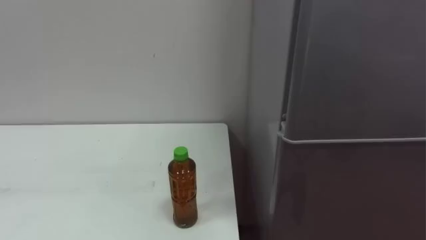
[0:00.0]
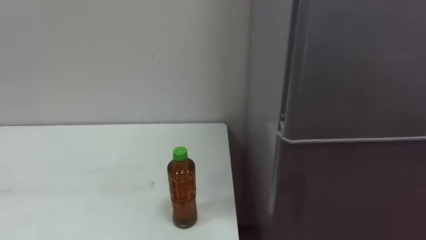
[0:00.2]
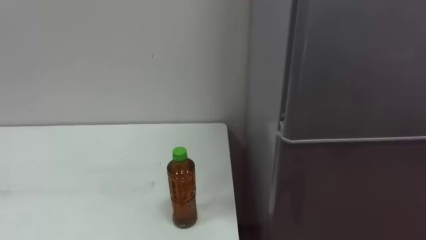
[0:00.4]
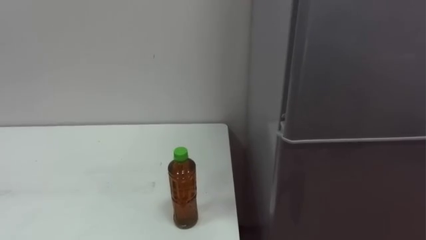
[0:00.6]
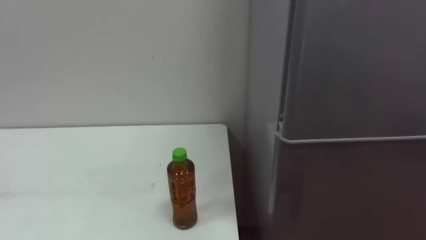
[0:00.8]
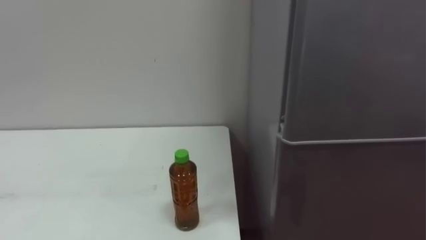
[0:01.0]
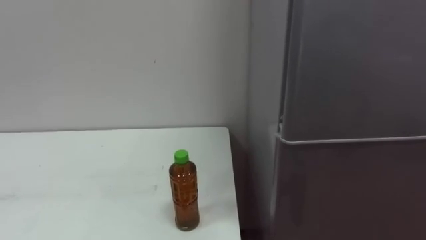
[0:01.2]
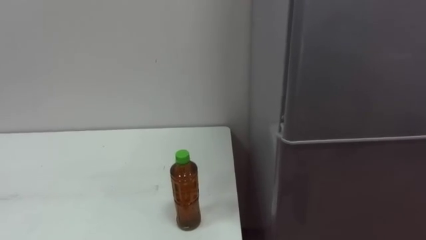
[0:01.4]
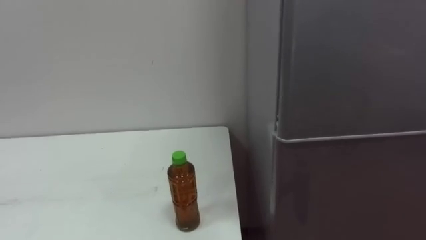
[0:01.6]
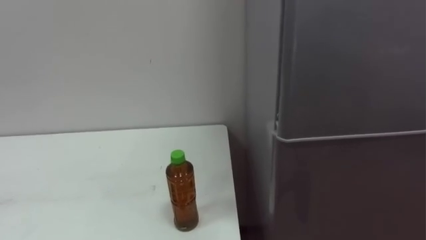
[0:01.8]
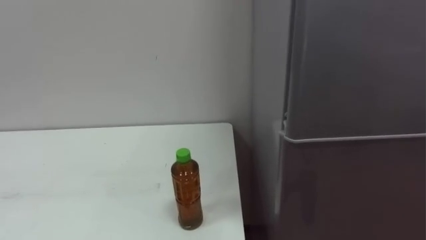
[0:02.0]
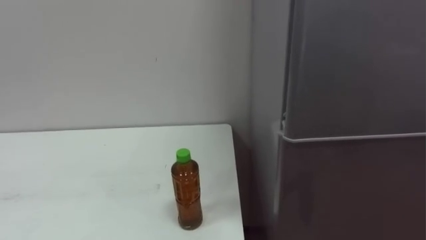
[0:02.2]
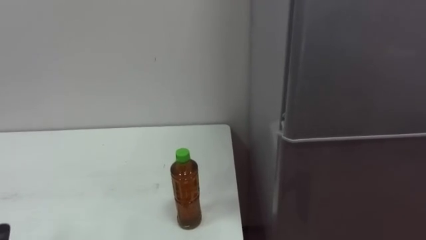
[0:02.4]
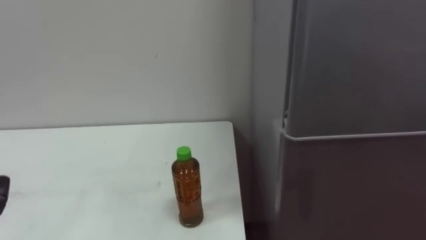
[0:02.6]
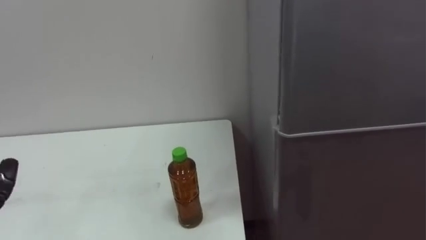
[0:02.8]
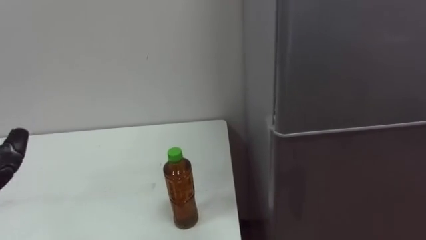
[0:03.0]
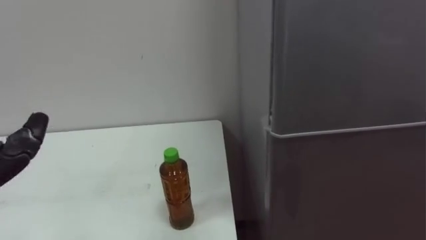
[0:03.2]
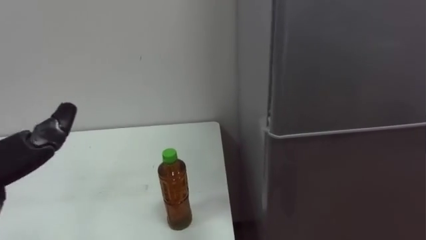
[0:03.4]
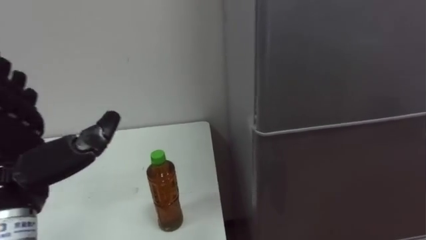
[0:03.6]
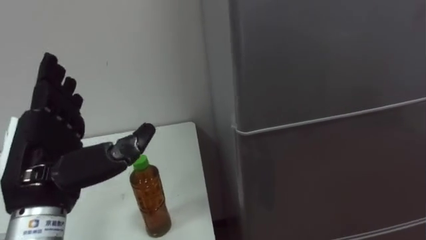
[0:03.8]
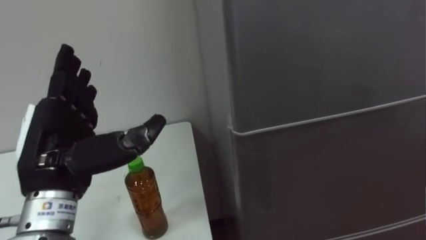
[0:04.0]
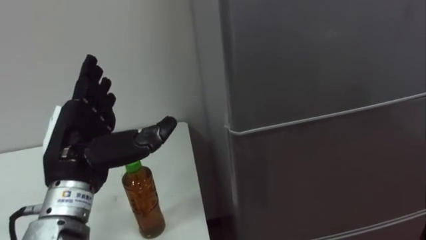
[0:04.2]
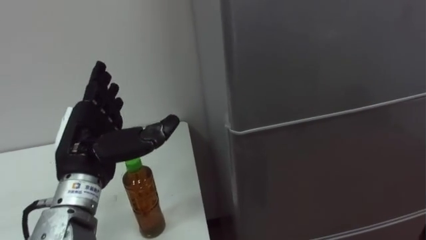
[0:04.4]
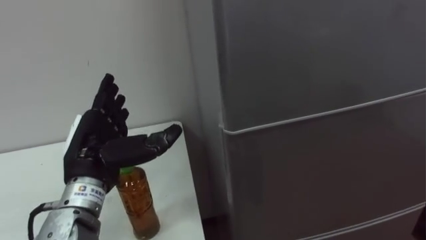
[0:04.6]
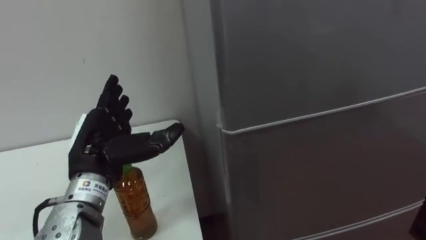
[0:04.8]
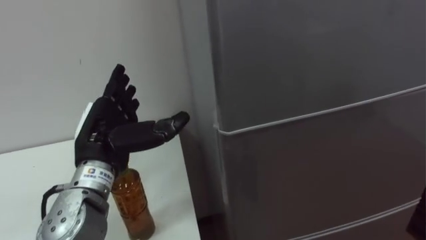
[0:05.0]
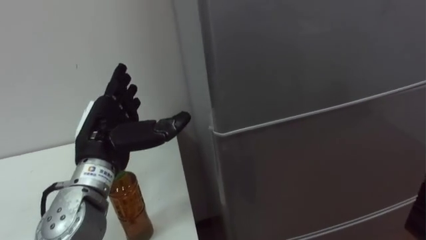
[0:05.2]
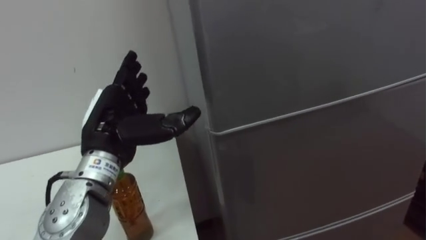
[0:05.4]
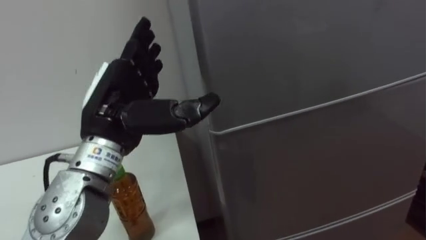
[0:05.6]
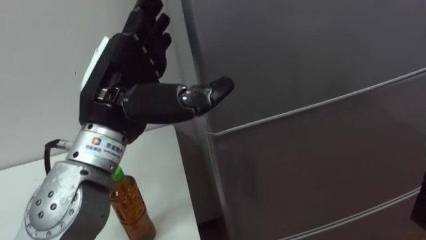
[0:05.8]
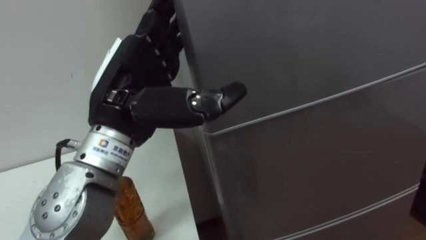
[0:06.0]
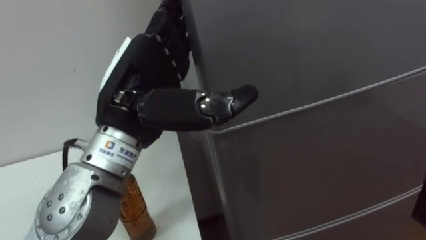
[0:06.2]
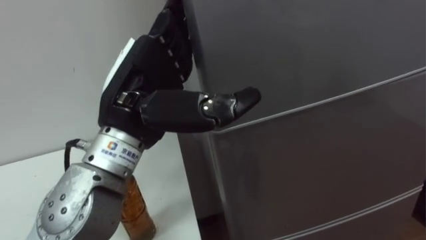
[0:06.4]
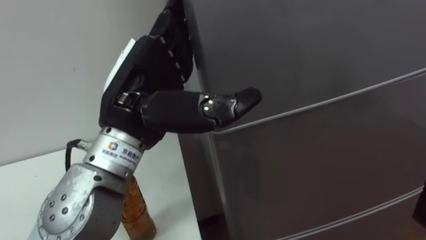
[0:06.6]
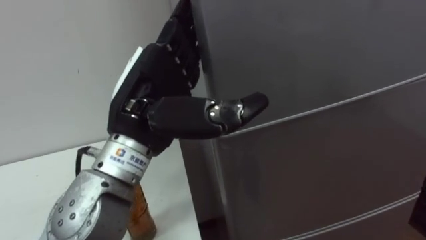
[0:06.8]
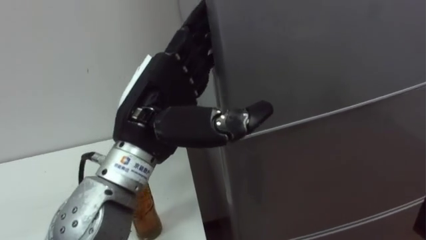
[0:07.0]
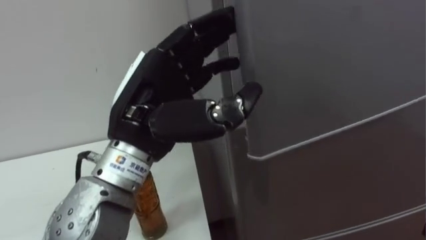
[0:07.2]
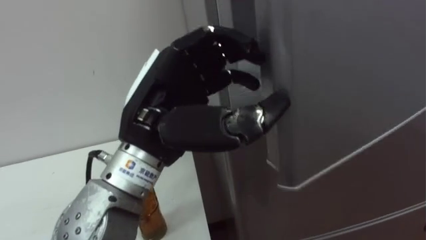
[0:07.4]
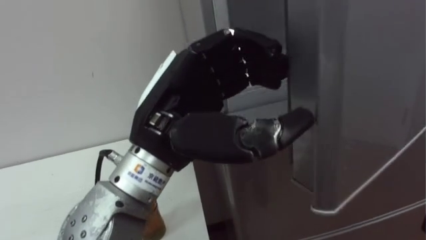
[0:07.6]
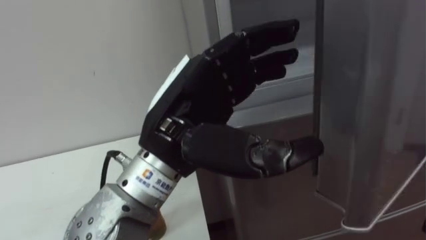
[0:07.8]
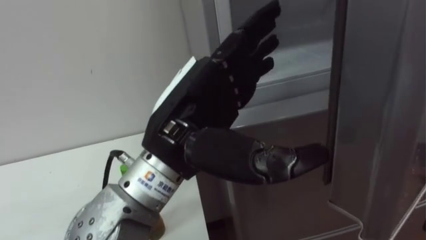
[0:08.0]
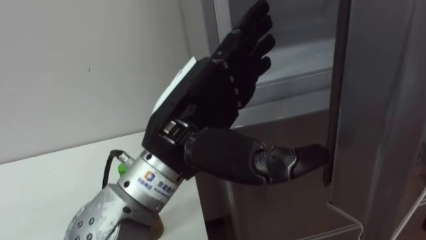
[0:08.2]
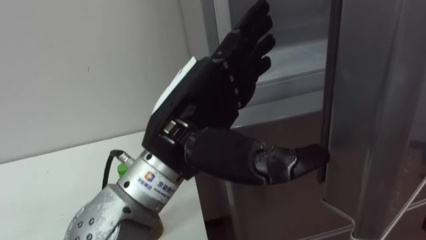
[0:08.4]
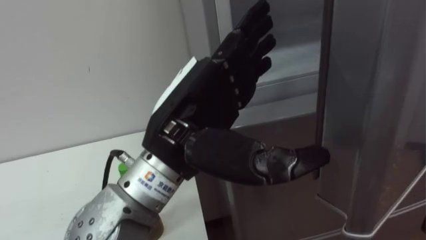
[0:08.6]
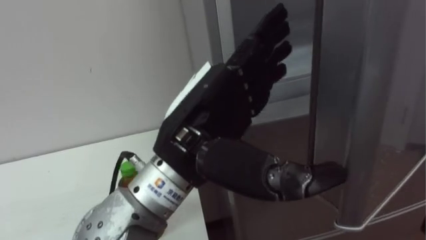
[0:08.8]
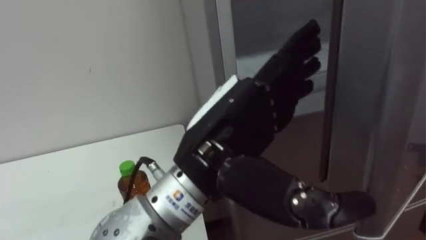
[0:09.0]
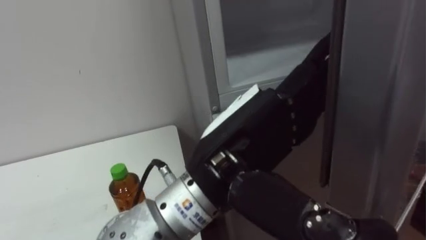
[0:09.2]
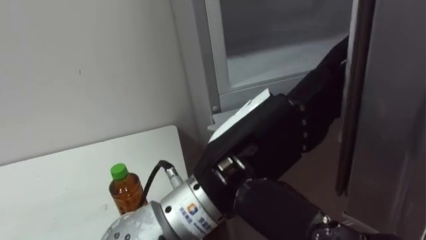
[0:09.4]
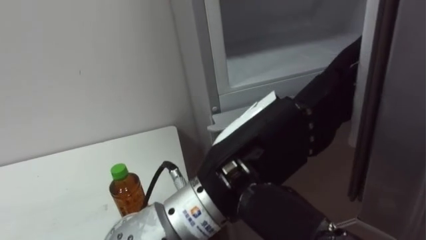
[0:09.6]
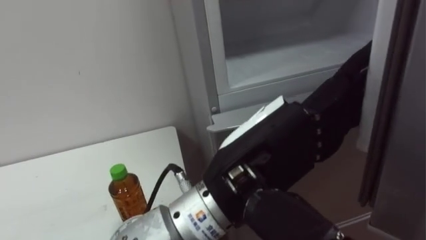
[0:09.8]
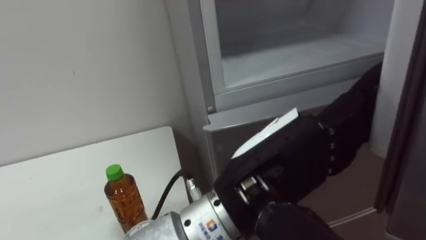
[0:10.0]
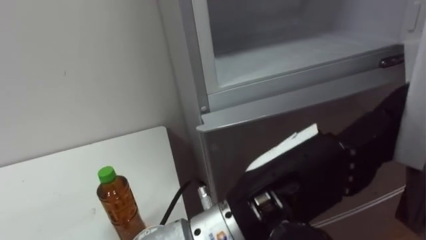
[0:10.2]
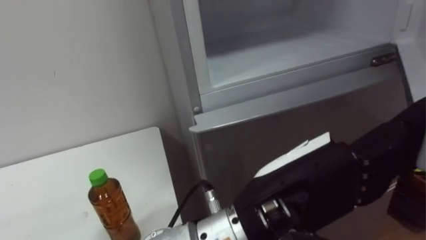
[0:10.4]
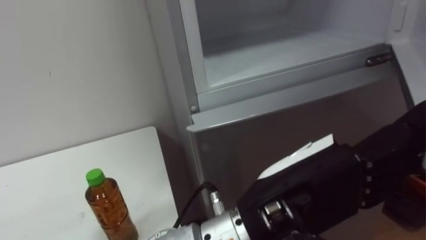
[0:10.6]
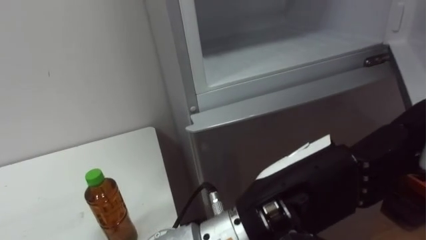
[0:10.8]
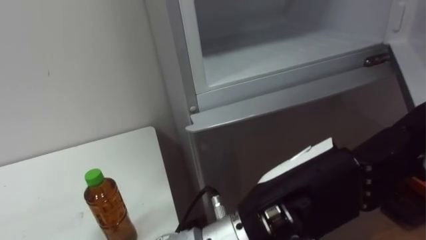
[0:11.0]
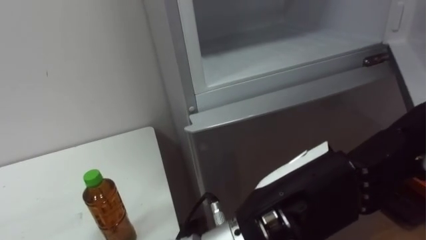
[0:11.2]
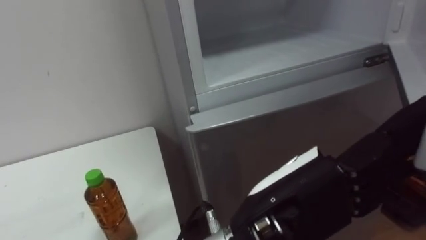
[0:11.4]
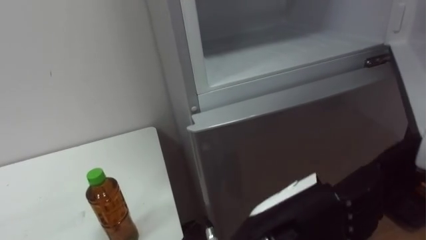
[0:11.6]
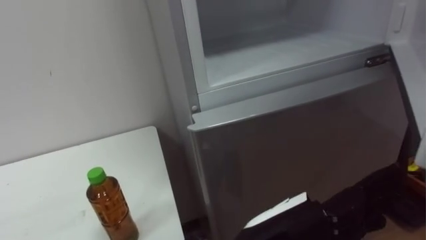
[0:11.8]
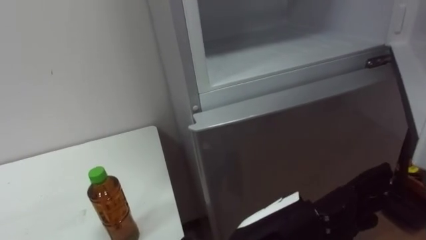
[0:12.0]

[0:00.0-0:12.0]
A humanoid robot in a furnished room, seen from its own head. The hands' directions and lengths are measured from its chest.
Task of the whole recording: Open the upper refrigerator door, put the drink from the table into the refrigerator, and then close the refrigerator door.
0:04.4 to 0:06.0: The left hand moves upward and to the right, about 10 cm.
0:06.0 to 0:07.6: The left hand is displaced to the right by roughly 5 cm, and closes up.
0:07.6 to 0:09.0: The left hand shifts by some 5 cm, and opens up.
0:09.0 to 0:10.4: The left hand moves to the right and backward, approximately 10 cm.
0:10.4 to 0:12.0: The left hand goes some 5 cm downward.

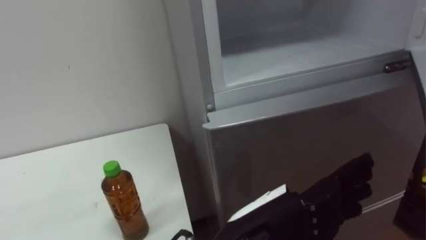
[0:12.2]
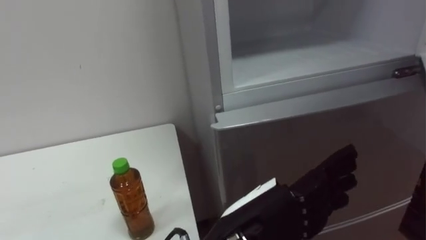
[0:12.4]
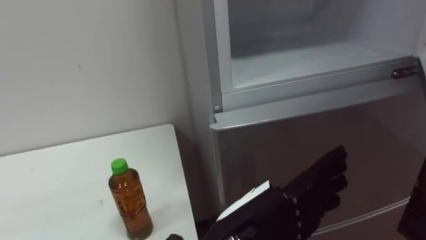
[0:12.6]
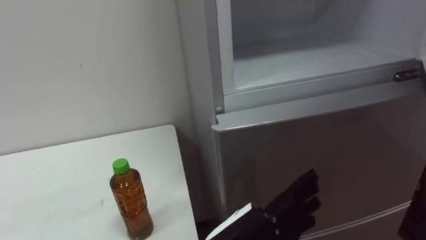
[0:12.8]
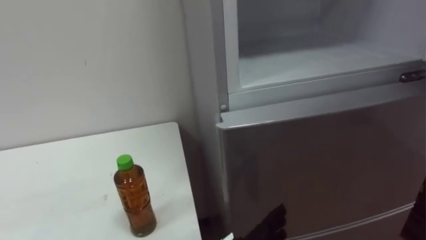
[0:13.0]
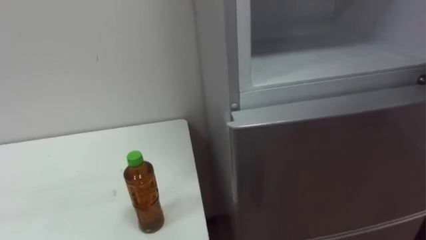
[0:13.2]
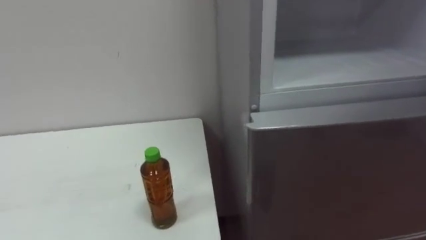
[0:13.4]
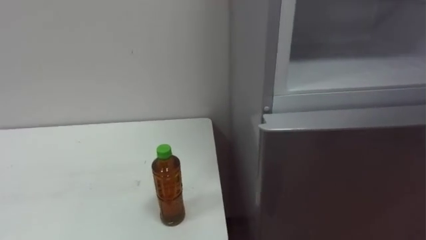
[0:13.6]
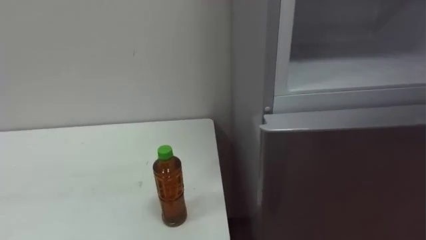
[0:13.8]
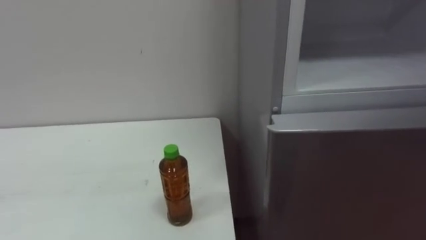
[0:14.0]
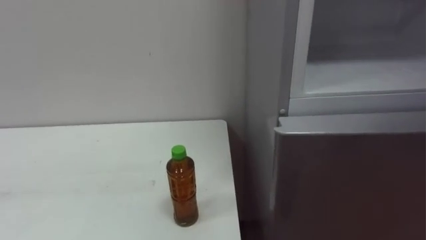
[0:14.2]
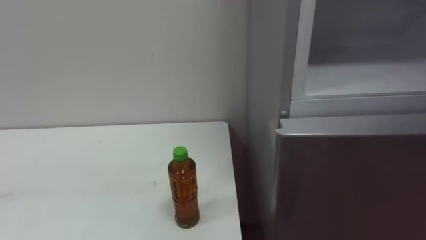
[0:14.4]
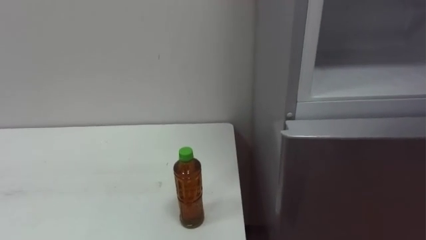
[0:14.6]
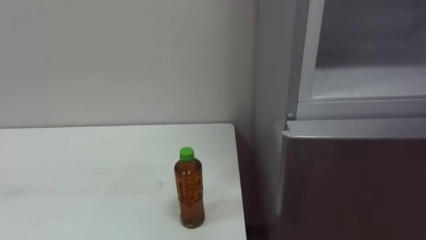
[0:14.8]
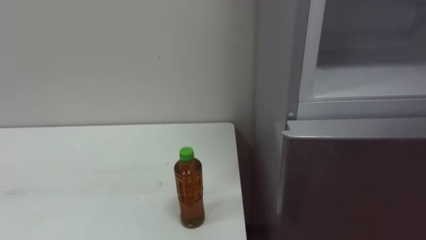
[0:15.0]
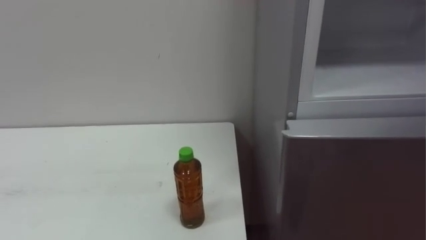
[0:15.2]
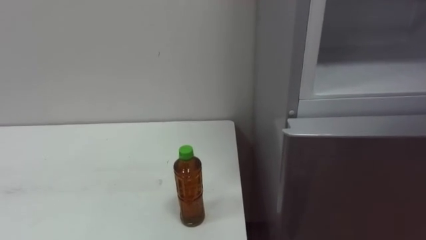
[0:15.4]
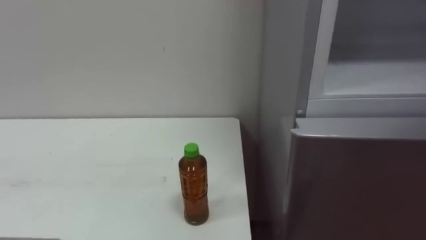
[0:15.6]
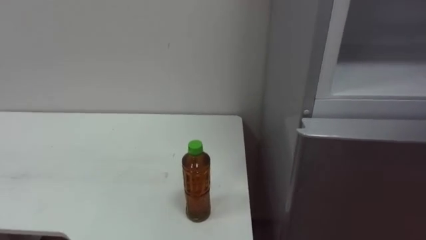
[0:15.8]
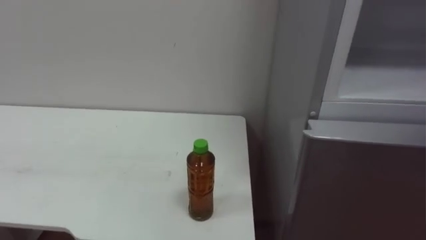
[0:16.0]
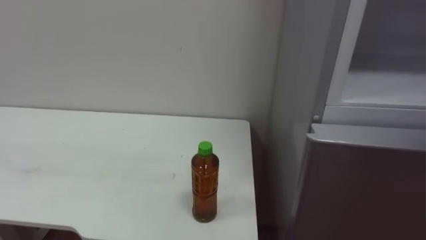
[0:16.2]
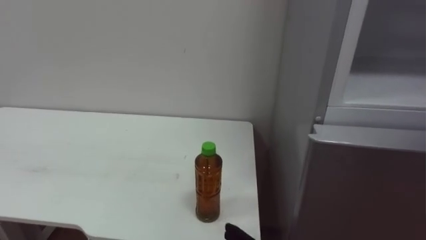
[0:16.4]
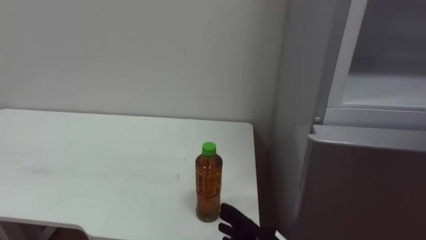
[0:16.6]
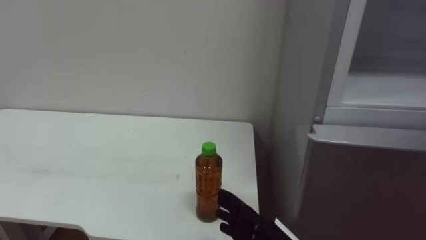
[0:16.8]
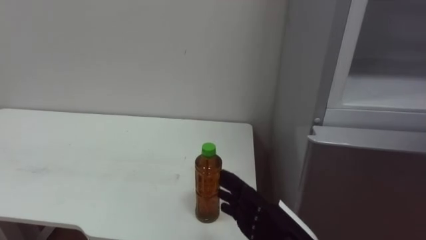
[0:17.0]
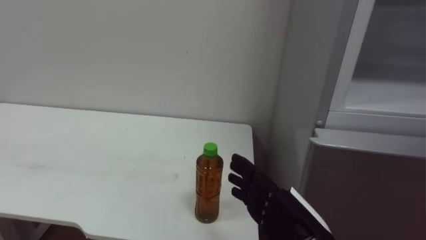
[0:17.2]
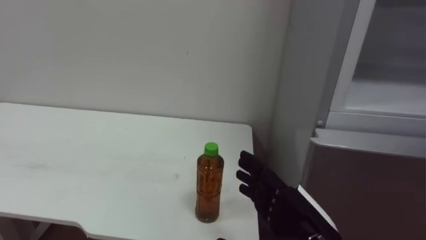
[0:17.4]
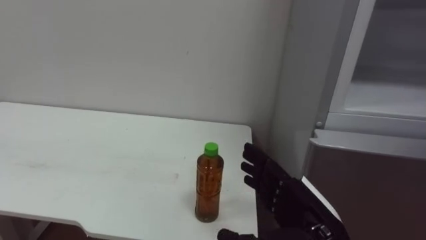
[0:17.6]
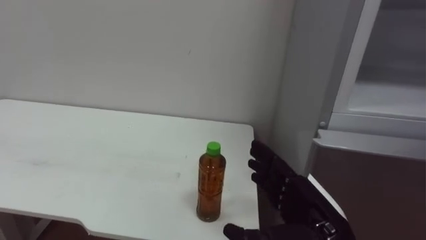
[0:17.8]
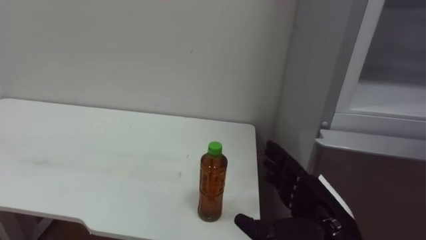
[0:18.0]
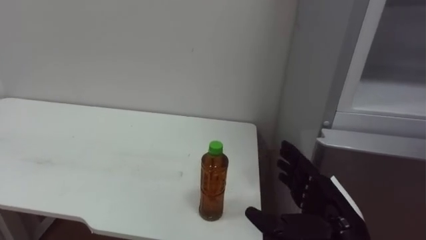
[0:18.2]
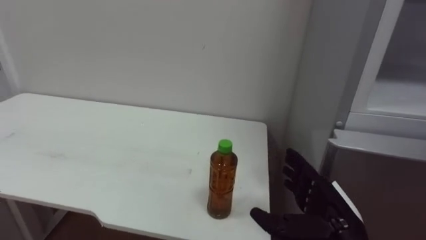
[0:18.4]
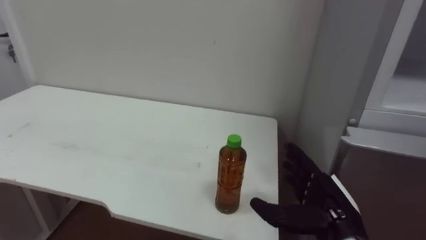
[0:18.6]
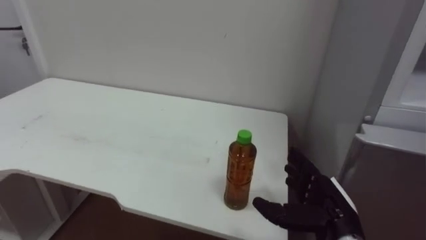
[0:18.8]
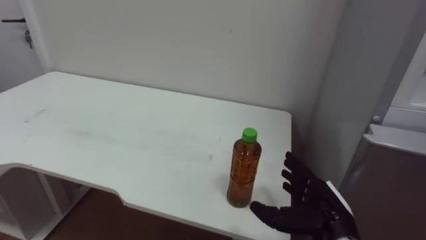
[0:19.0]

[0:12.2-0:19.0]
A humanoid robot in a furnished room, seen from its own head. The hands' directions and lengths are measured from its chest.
Task of the whole recording: Open the upper refrigerator door, put the drink from the table into the refrigerator, and then close the refrigerator door.
0:17.6 to 0:19.0: The right hand shifts roughly 10 cm downward, forward and to the right.
